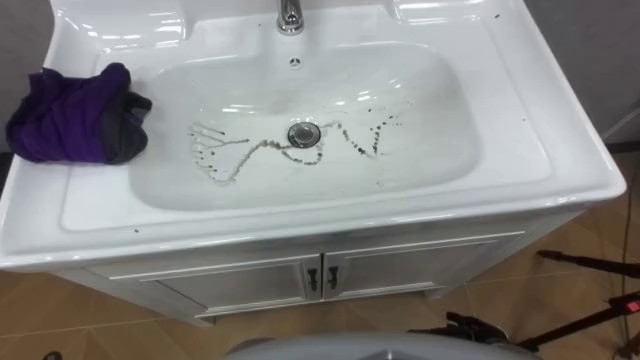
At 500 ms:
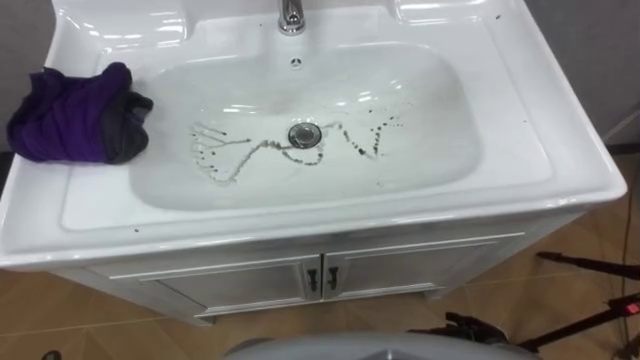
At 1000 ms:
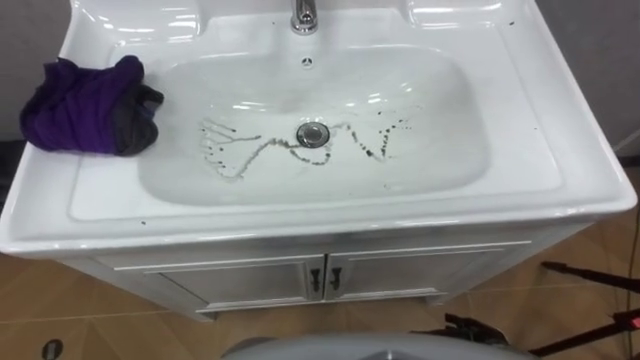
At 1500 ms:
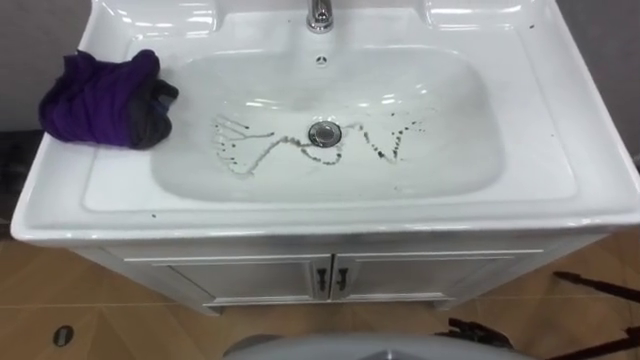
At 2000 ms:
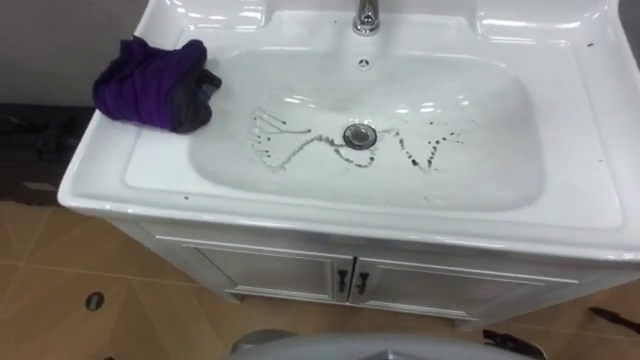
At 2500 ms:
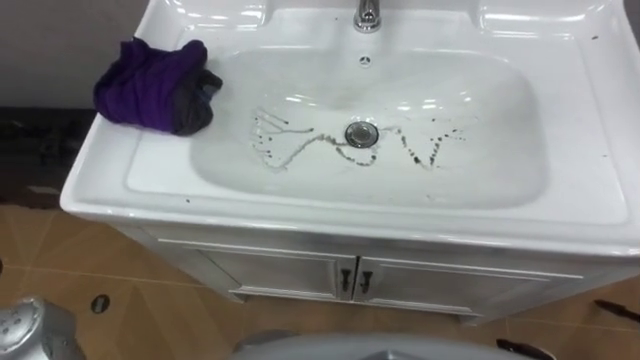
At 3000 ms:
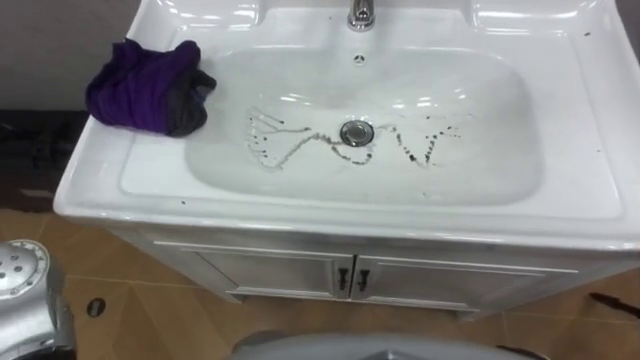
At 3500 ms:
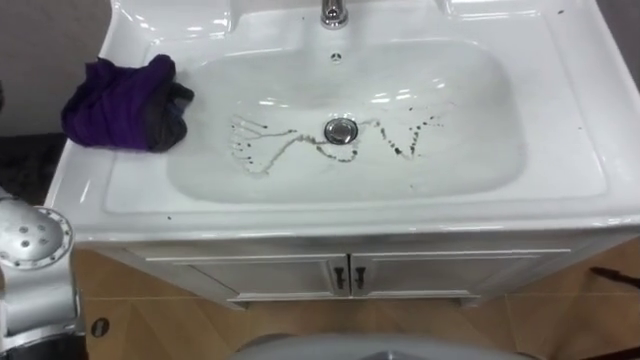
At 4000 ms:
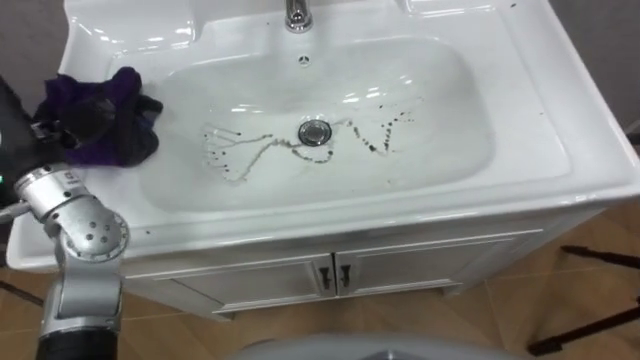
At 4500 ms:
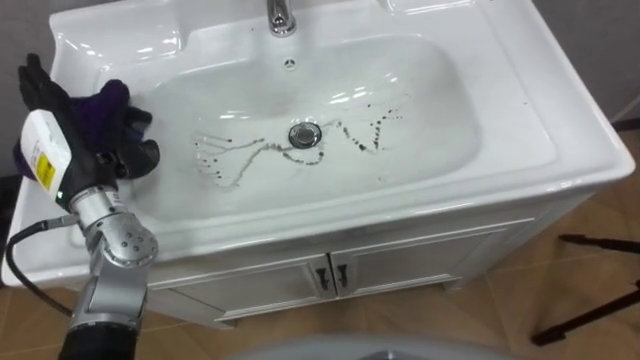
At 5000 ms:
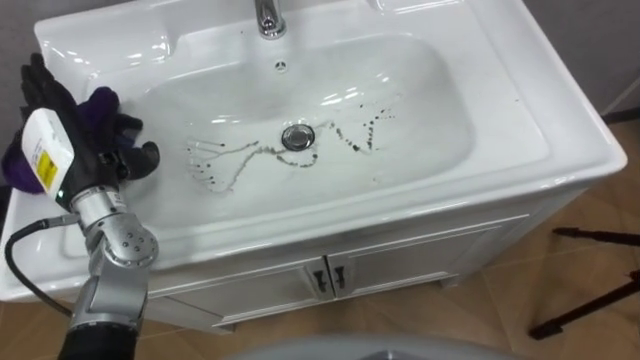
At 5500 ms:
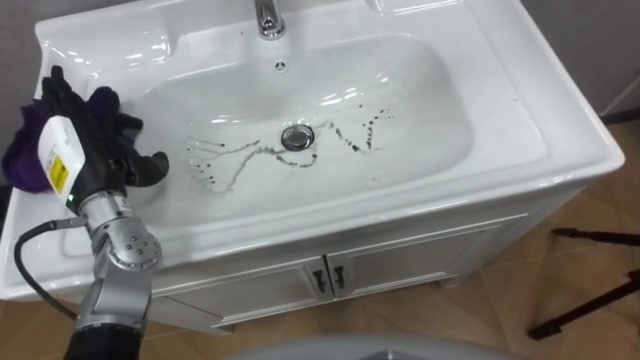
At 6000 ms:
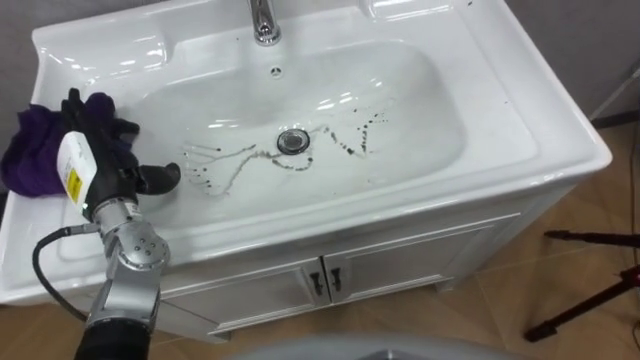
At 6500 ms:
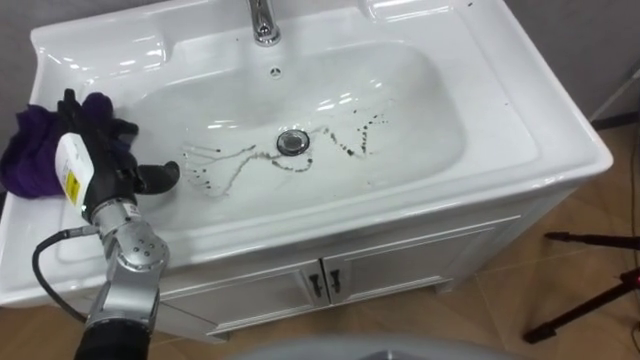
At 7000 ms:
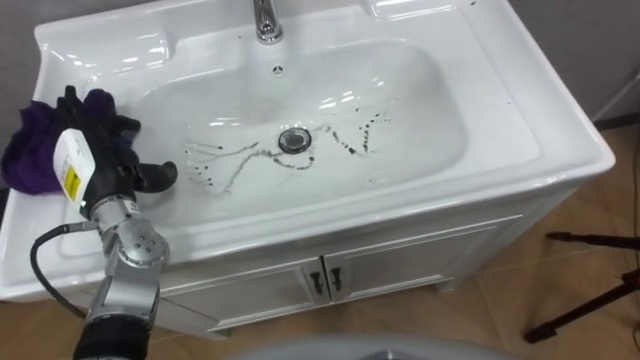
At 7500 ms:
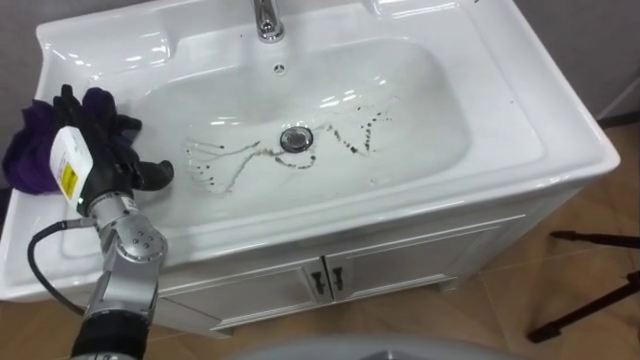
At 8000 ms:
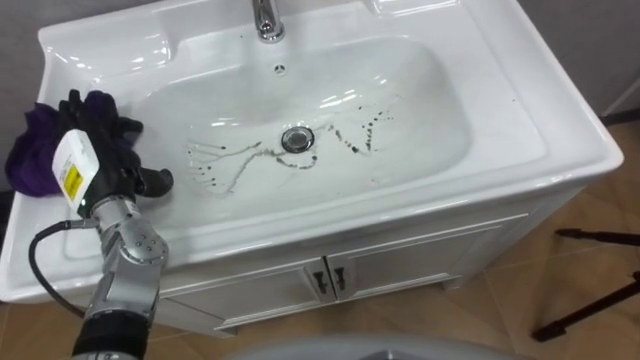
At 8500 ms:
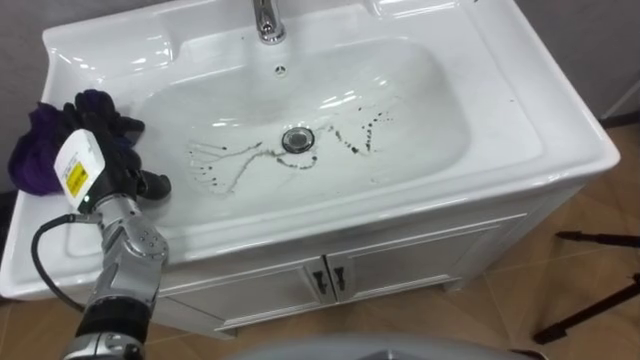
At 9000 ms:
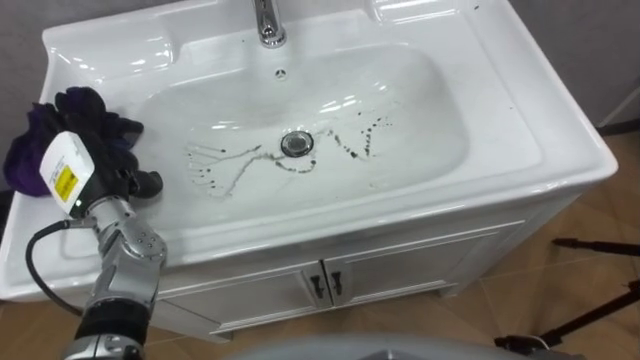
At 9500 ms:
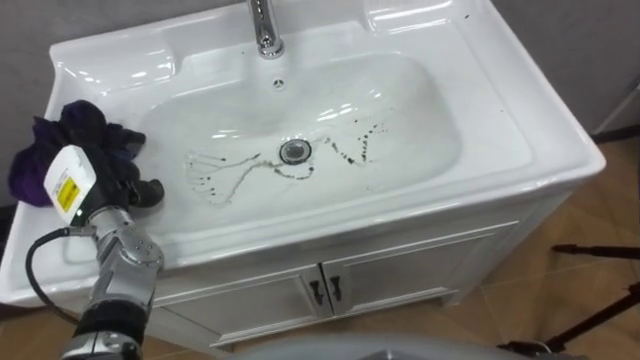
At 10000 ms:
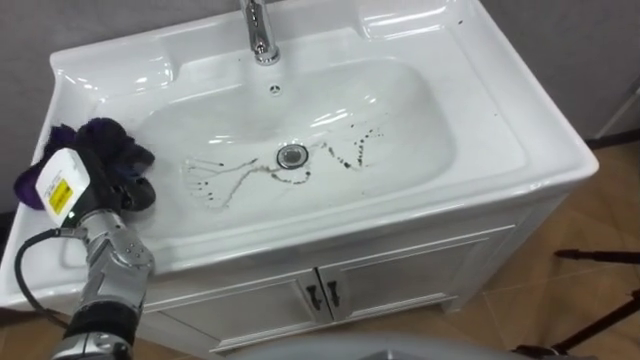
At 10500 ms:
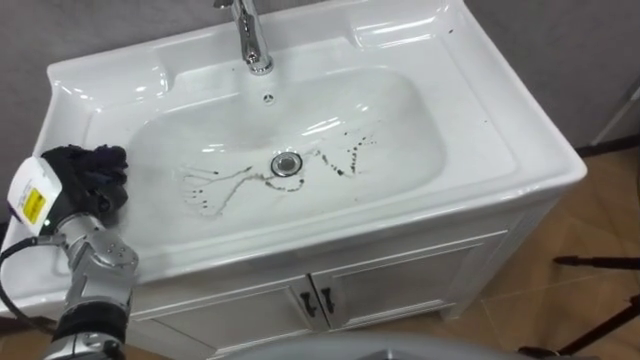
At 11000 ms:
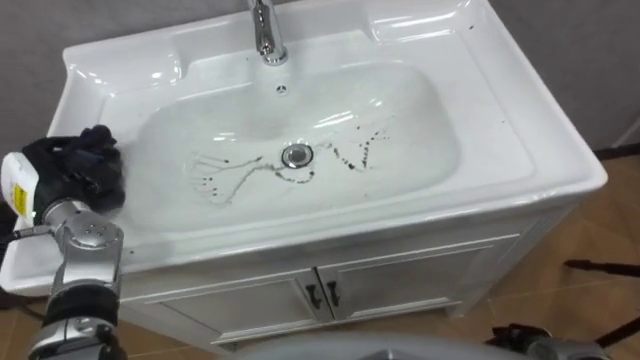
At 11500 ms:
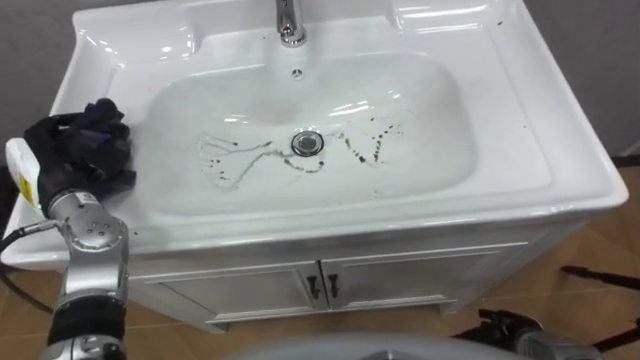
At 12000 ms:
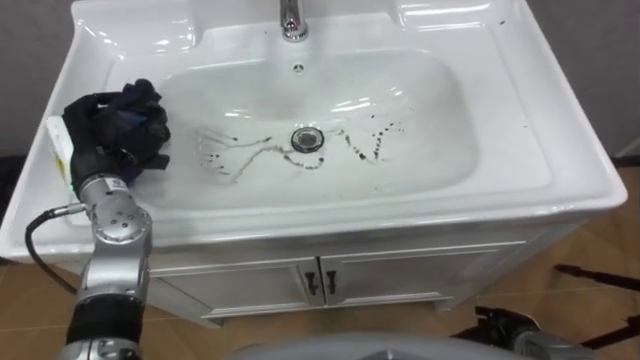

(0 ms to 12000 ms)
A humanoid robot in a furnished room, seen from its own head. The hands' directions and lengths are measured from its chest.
Task of the whole recording: Use the cloth on the right to wipe away the black stain in the sink.
8000 ms - 10000 ms: The left hand changes place by about 5 cm.
10000 ms - 12000 ms: The left hand moves upward, approximately 5 cm, and closes.

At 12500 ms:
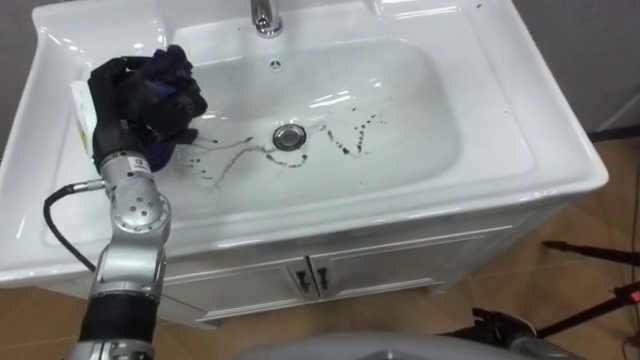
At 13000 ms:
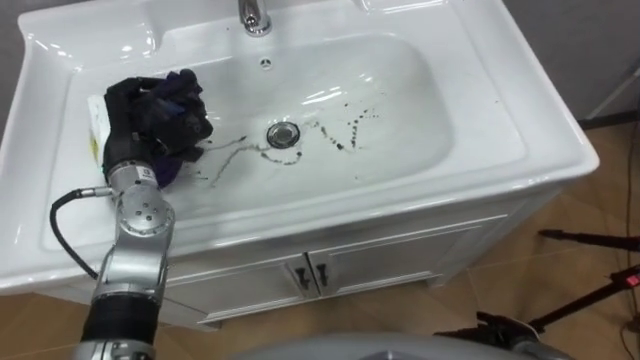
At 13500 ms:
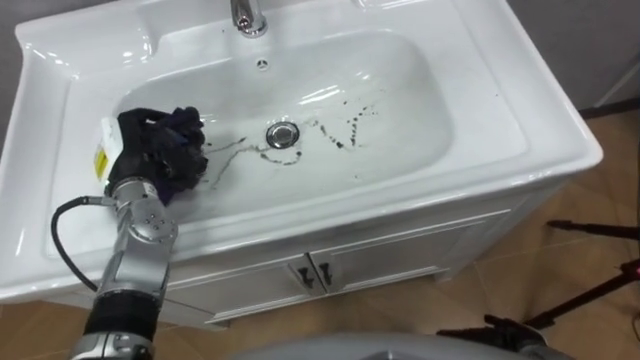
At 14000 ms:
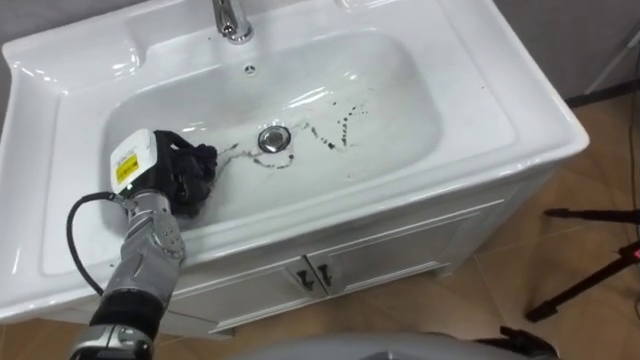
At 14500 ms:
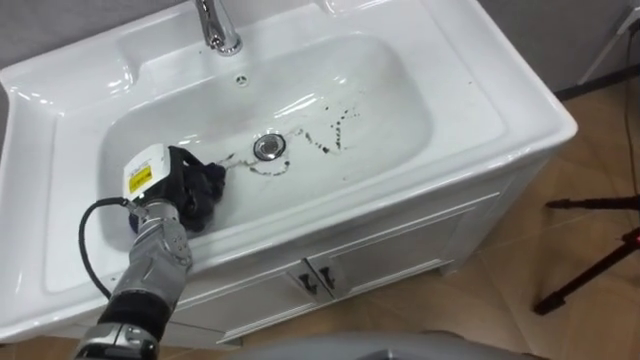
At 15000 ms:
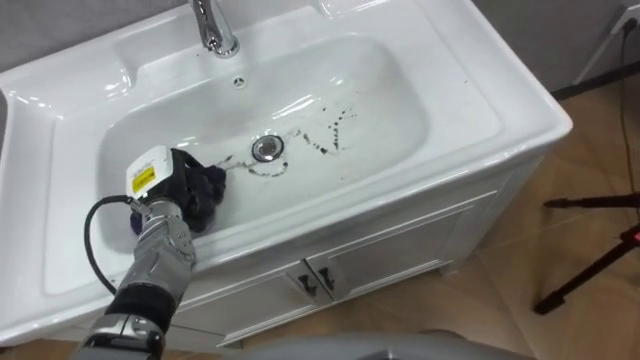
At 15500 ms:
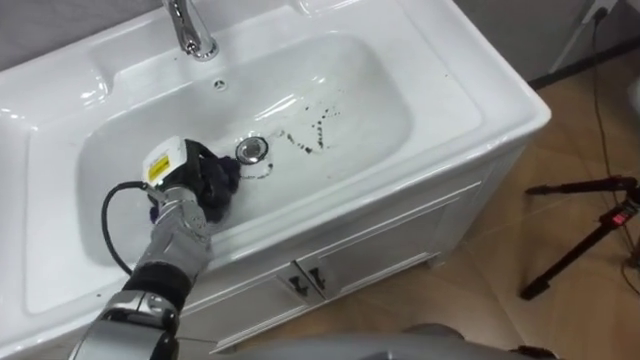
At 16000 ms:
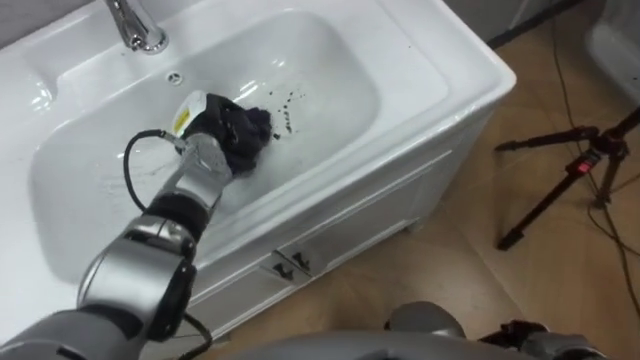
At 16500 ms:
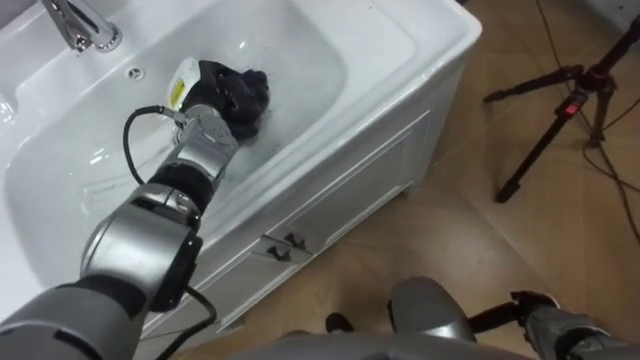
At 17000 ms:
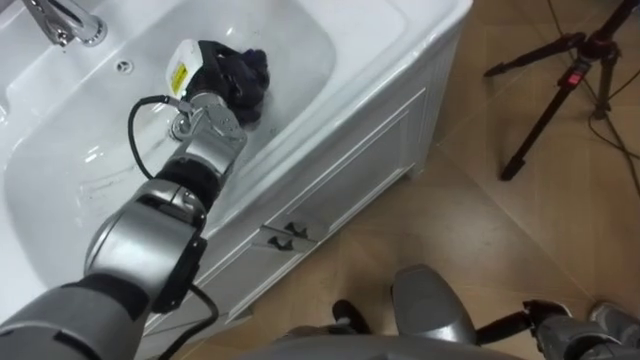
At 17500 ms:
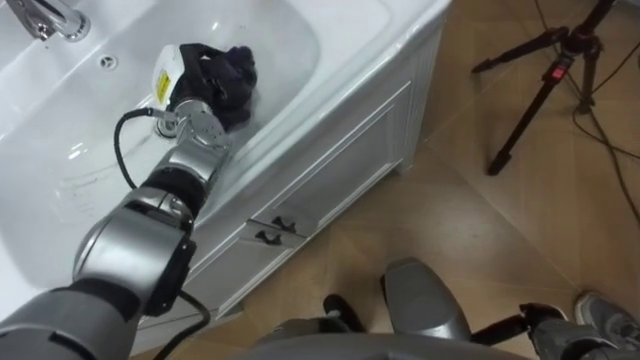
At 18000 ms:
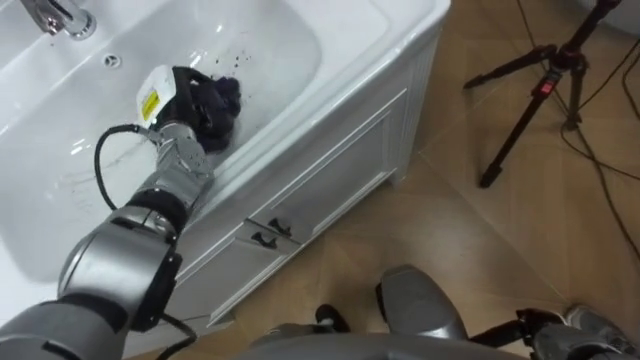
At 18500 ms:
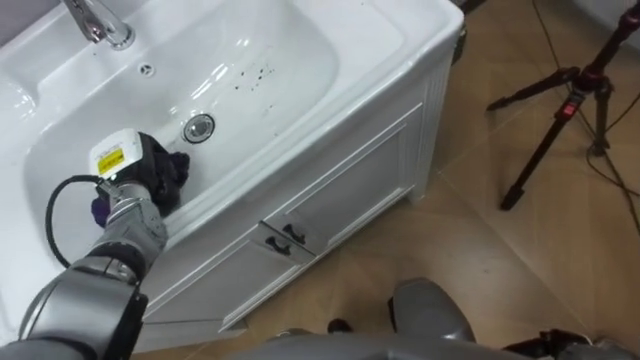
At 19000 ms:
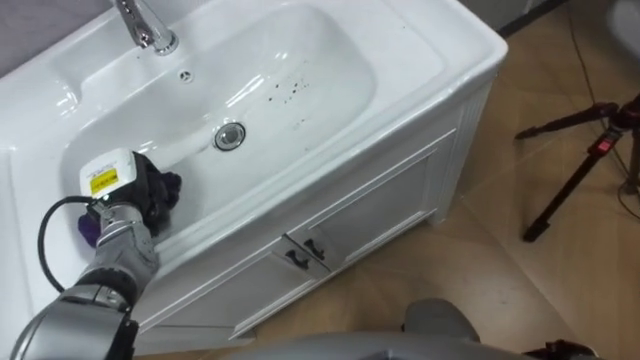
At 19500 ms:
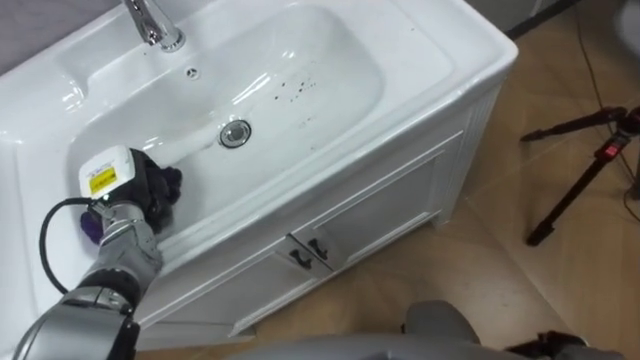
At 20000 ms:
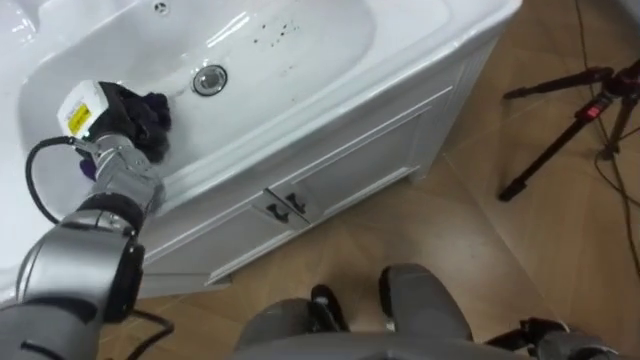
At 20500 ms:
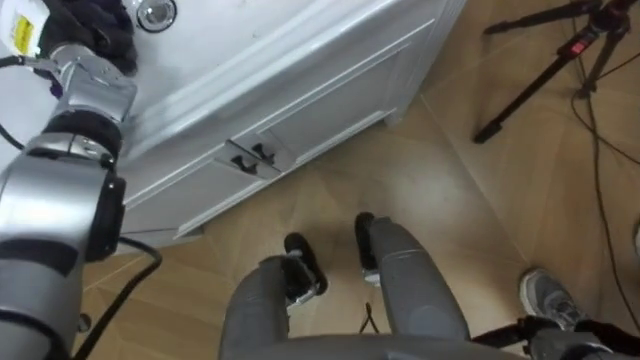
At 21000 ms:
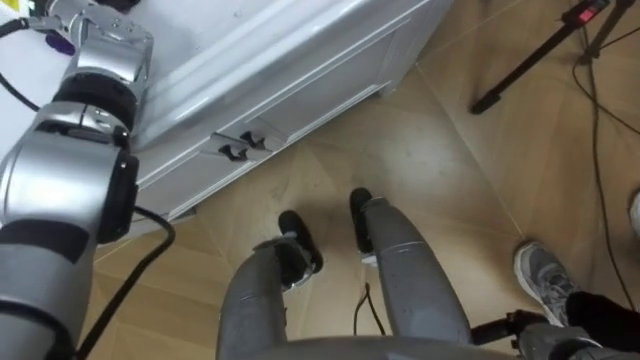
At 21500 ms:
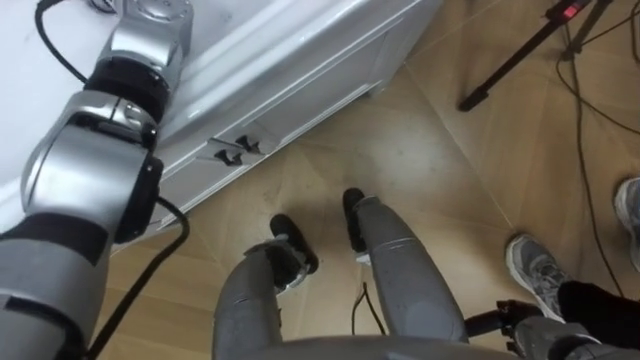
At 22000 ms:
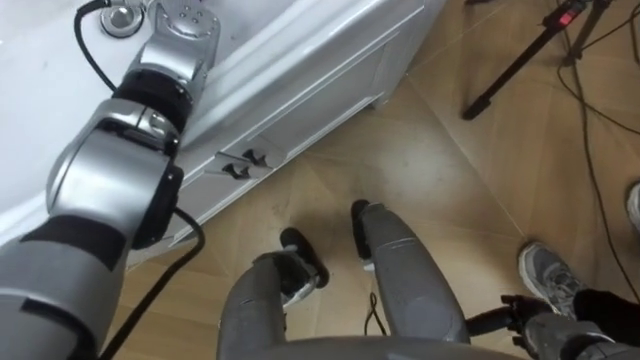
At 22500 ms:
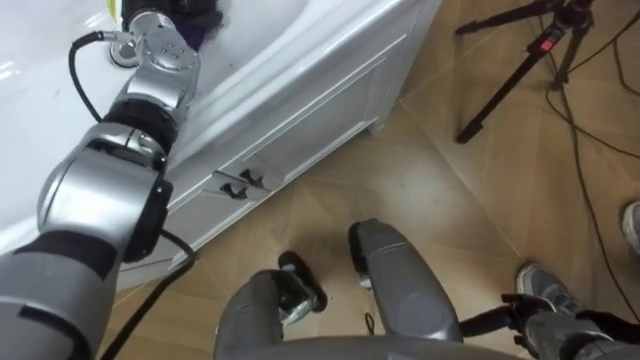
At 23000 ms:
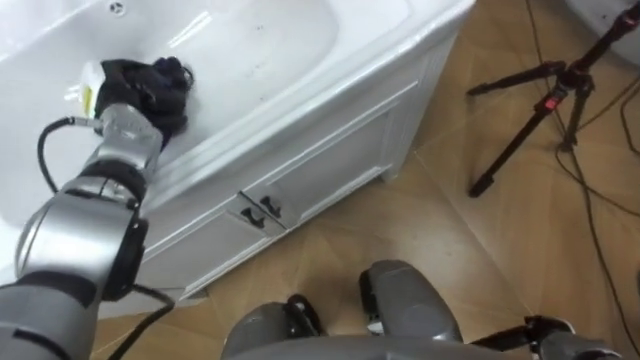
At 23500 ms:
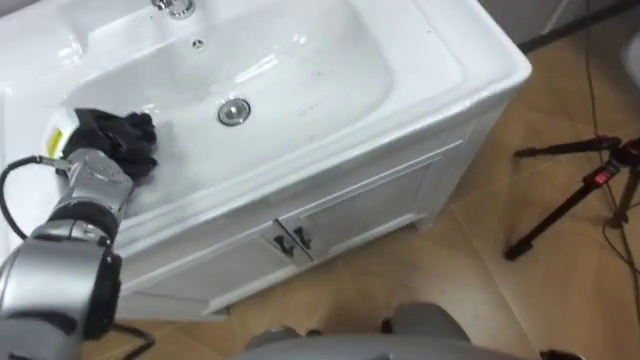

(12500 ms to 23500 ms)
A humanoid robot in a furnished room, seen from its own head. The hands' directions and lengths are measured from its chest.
Task of the whole recording: Use the cloth on the right to wipe away the black stain in the sink.
12500 ms - 14500 ms: The left hand goes approximately 10 cm downward.
14500 ms - 16000 ms: The left hand is displaced forward and to the right by roughly 10 cm.
18000 ms - 20000 ms: The left hand travels to the left by about 10 cm, and moves some 10 cm backward and comes back.
